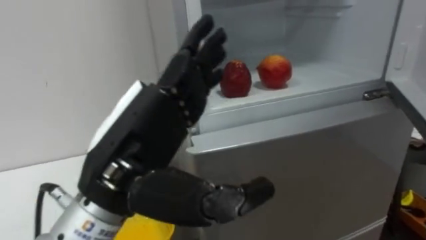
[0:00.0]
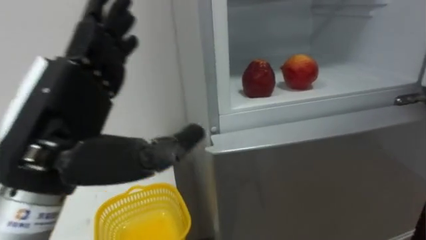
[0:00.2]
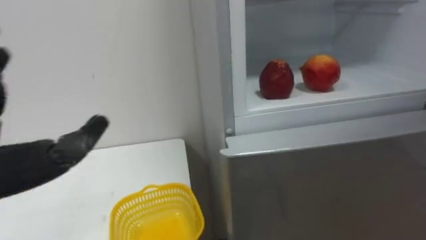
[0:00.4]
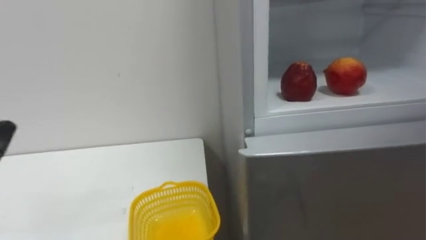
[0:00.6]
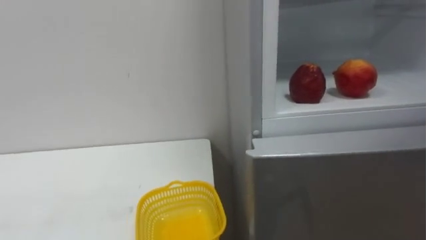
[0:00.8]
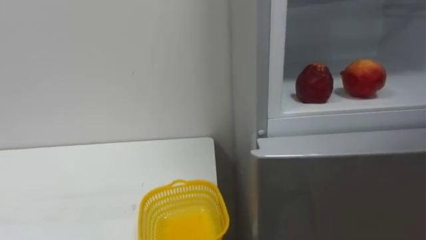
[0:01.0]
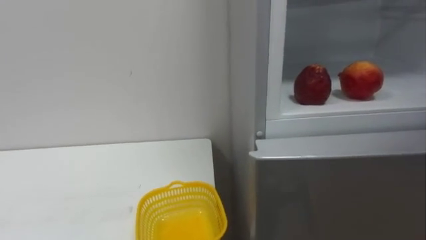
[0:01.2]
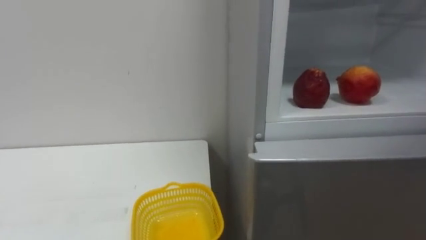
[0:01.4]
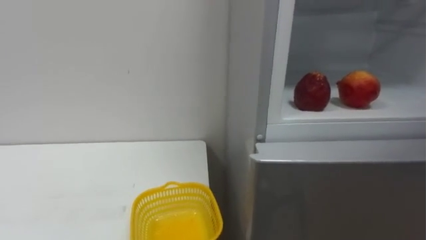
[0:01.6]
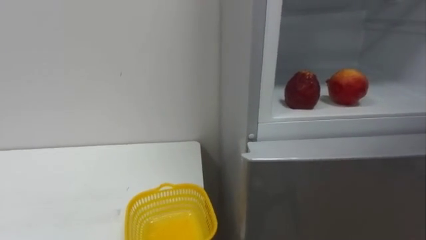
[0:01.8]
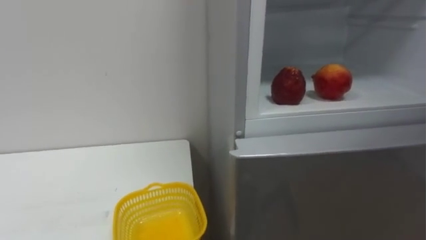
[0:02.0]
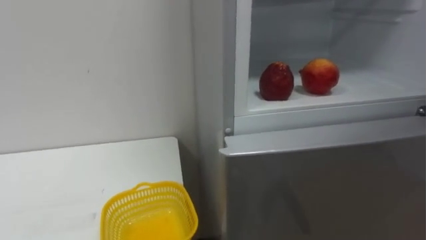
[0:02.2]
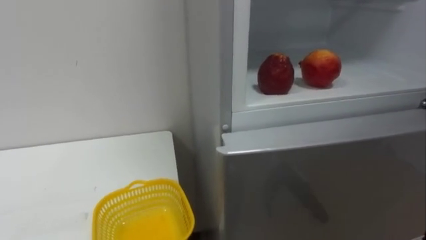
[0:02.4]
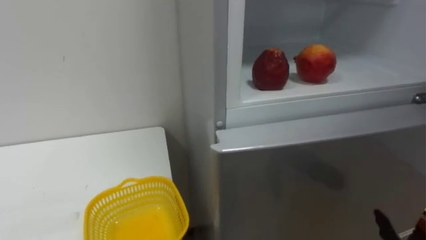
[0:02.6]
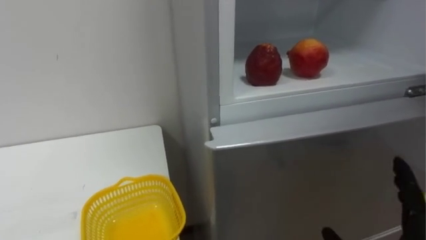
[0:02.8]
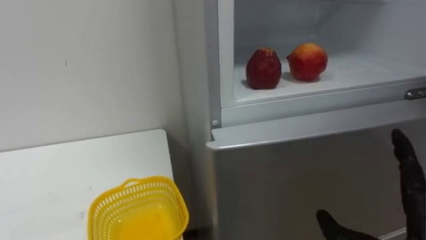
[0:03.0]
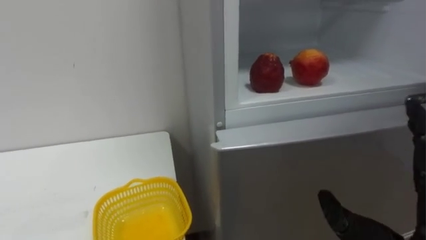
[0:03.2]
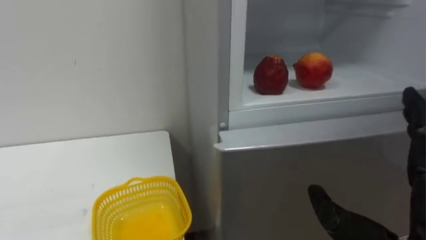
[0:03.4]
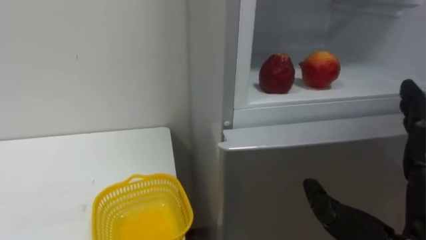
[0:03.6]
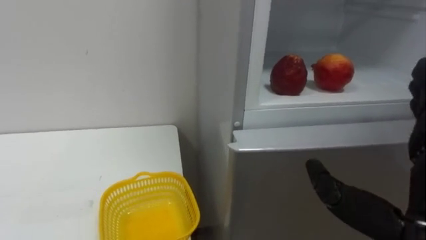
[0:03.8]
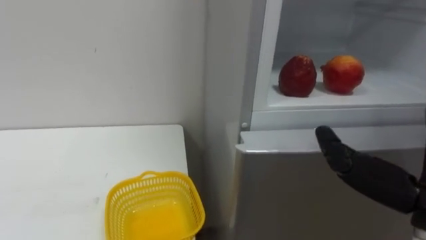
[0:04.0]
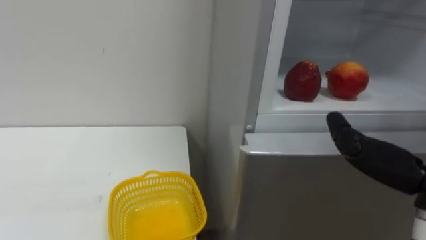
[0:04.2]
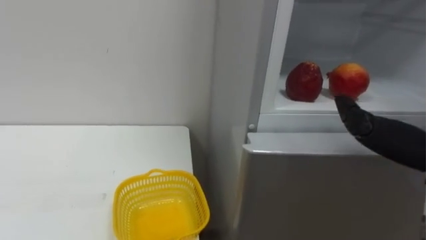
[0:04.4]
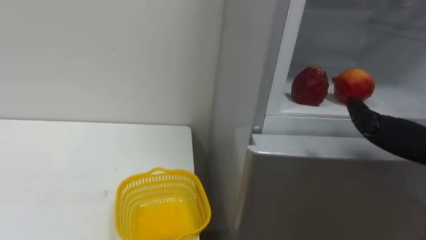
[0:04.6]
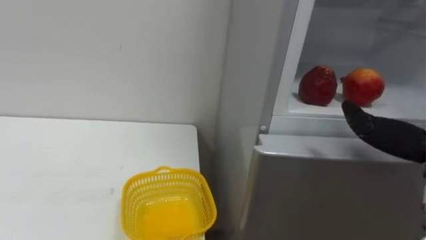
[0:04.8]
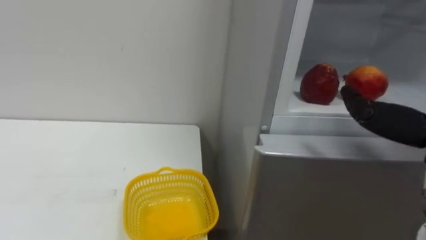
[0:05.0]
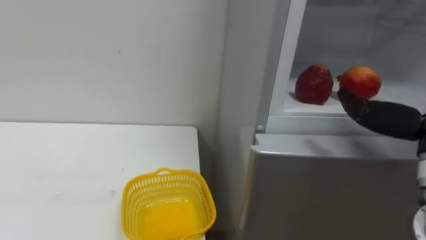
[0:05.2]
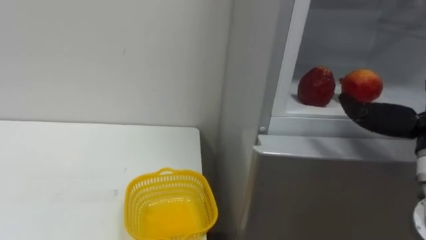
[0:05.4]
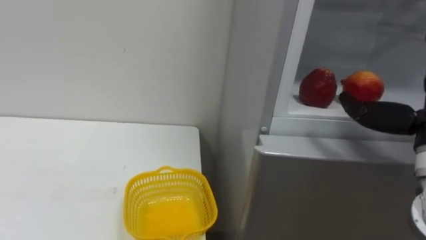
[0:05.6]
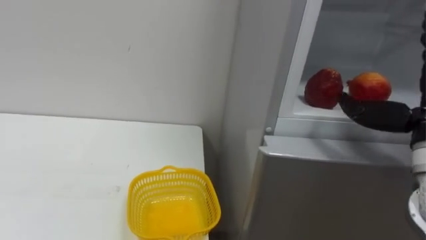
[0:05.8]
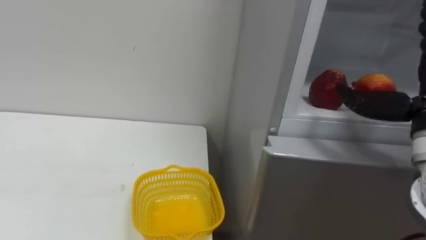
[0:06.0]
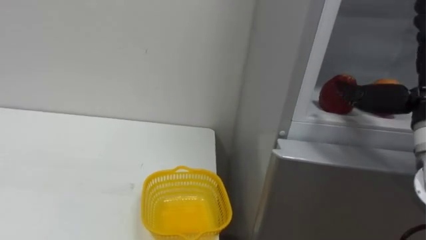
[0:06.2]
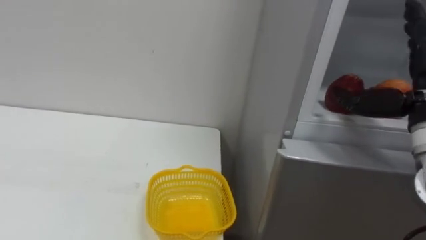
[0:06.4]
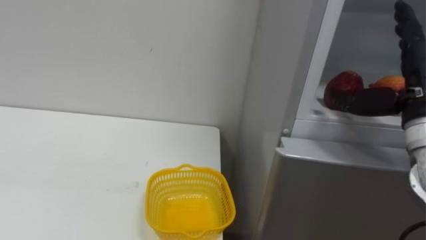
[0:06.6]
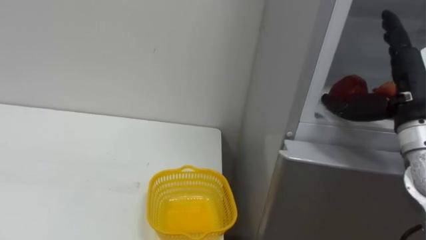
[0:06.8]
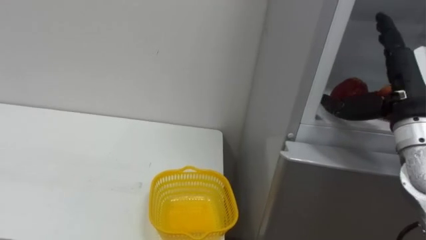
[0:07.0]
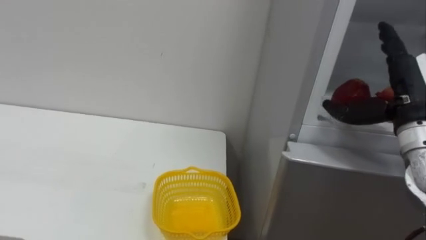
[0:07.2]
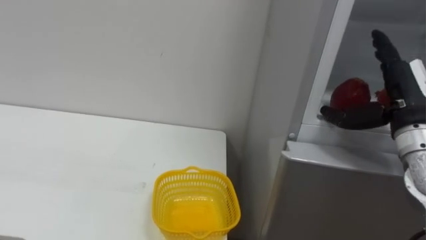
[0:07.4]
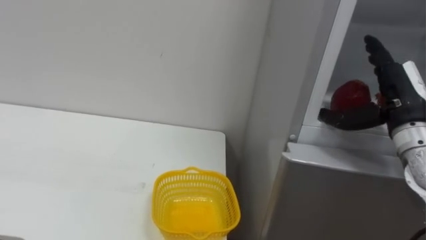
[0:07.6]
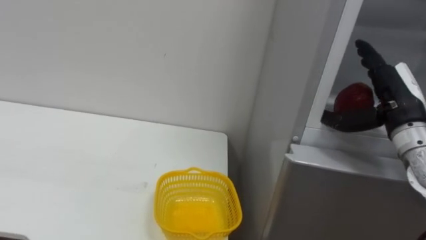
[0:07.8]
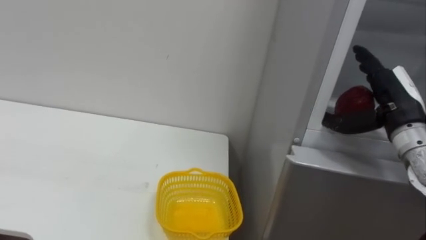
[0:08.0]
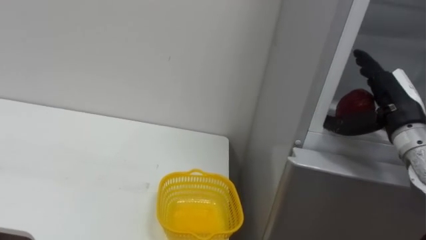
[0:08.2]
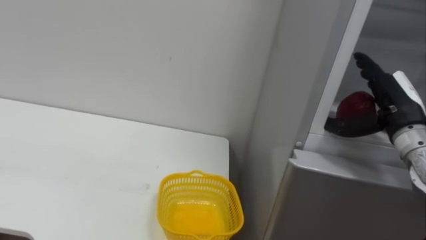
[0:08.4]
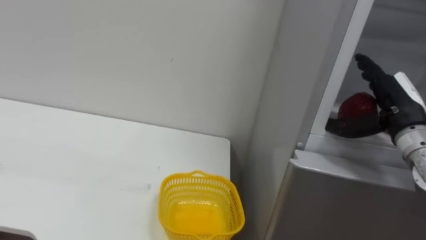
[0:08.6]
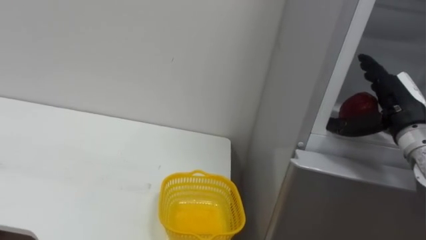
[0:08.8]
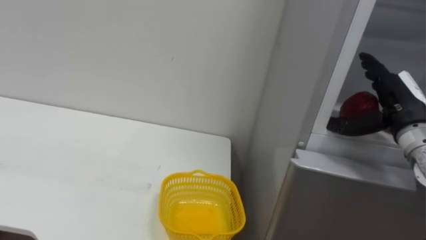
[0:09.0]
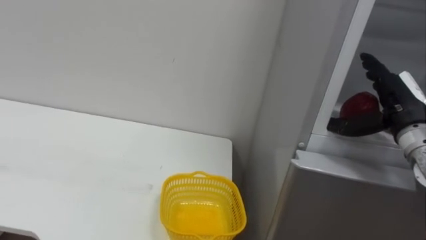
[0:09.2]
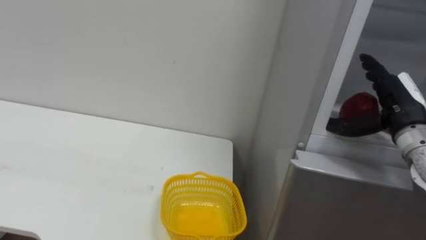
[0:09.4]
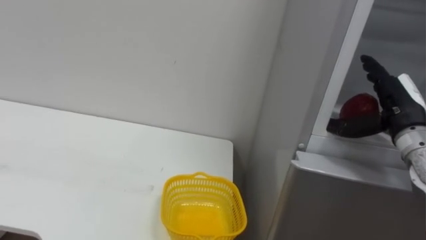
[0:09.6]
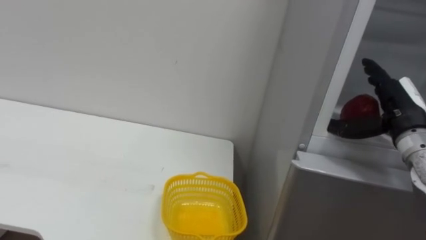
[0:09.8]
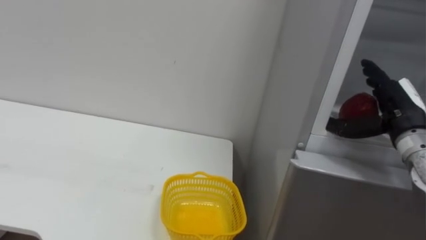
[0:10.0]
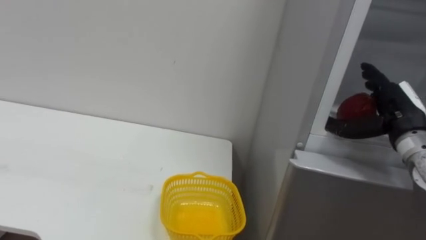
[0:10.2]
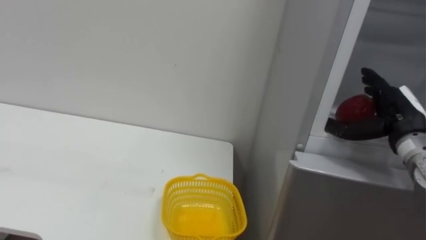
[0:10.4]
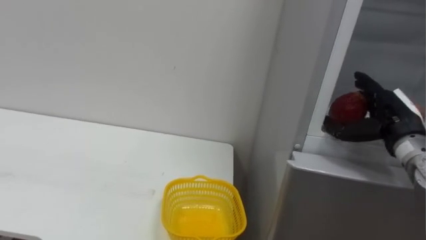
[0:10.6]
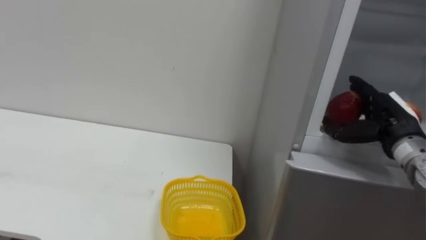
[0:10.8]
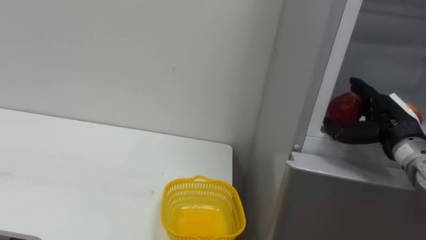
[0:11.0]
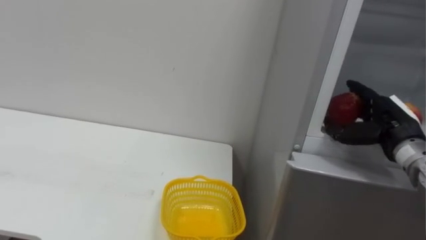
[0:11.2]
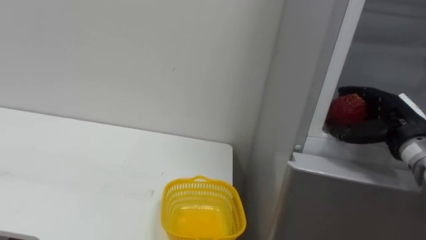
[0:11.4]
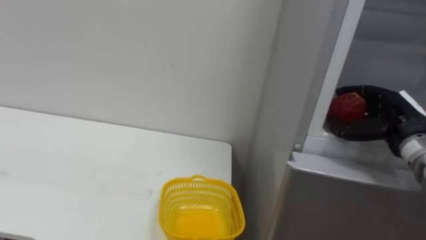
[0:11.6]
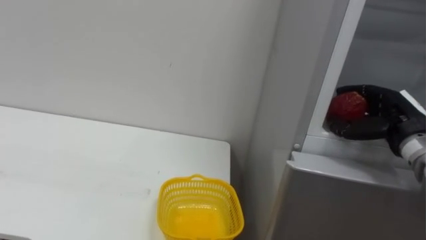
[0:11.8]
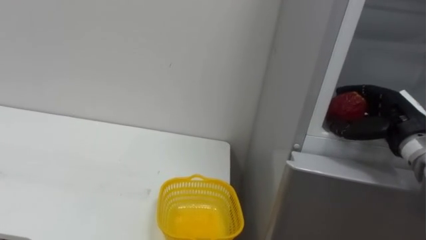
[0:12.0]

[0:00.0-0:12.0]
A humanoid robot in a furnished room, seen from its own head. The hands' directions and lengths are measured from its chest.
Task of the whole recording: Open the refrigerator door, take out the apple and the pomegranate, place them in the fruit basket on the left, and close the refrigerator door.
0:10.4 to 0:12.0: The right hand closes.

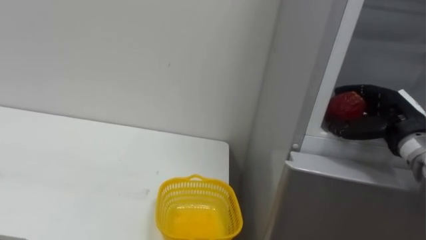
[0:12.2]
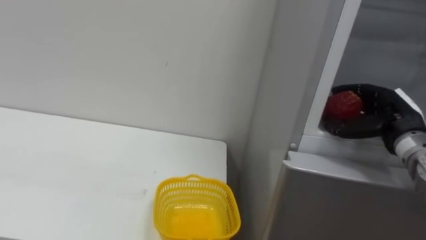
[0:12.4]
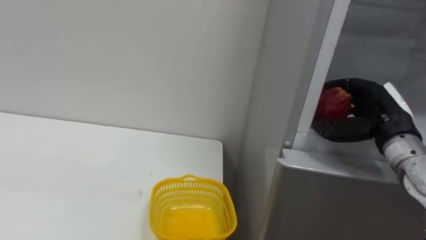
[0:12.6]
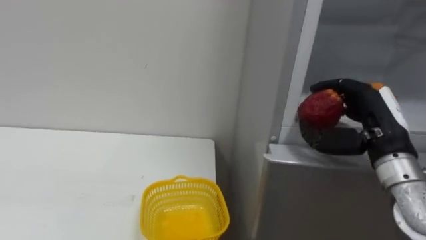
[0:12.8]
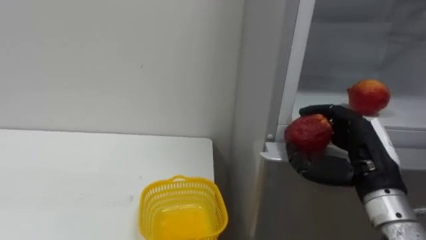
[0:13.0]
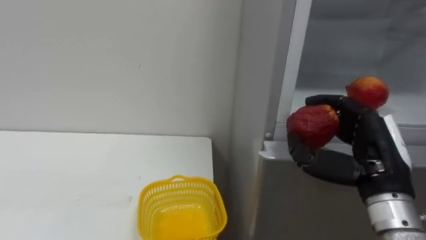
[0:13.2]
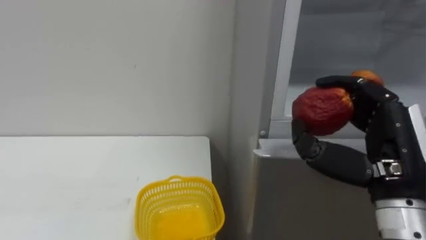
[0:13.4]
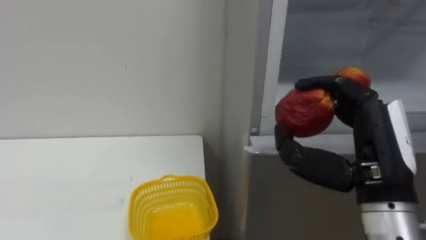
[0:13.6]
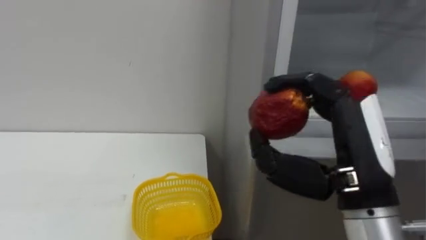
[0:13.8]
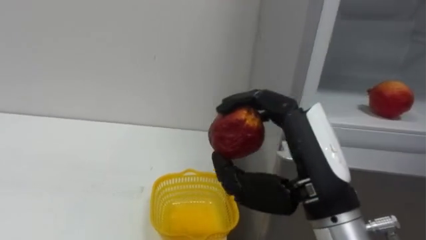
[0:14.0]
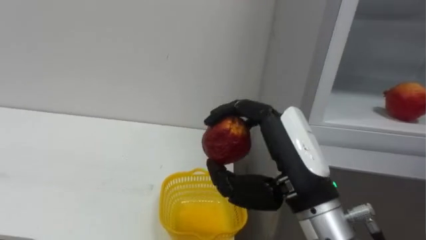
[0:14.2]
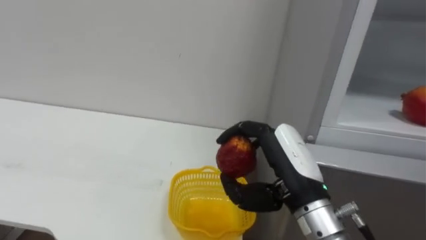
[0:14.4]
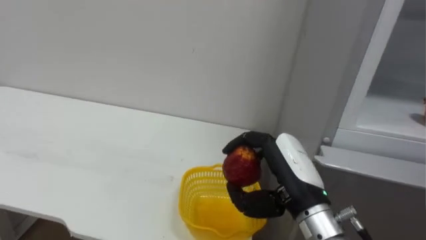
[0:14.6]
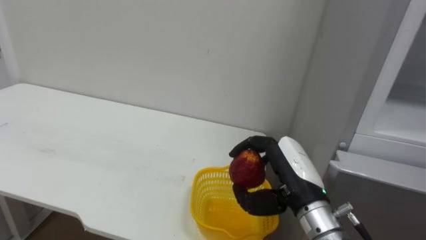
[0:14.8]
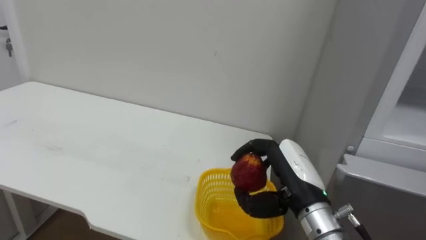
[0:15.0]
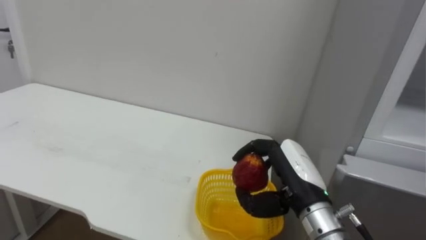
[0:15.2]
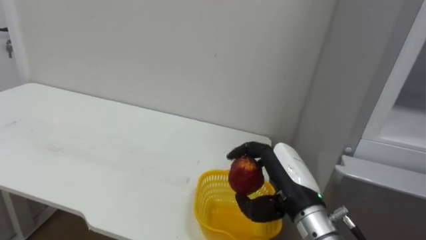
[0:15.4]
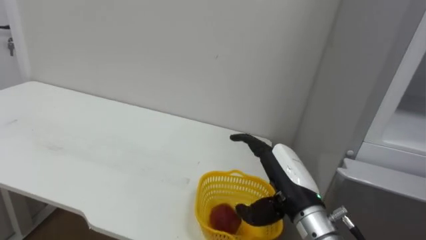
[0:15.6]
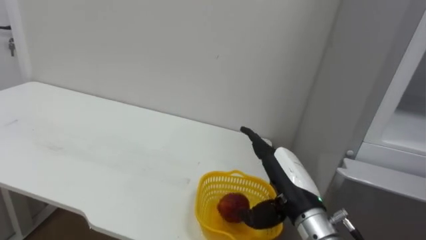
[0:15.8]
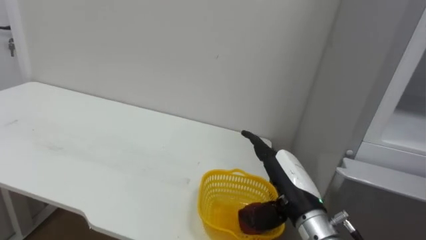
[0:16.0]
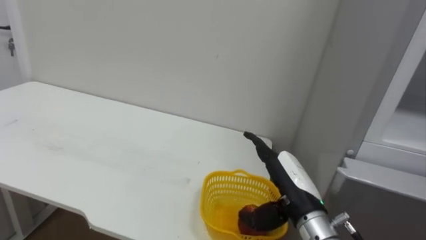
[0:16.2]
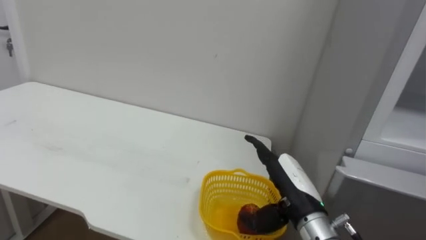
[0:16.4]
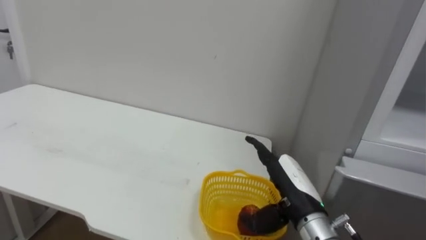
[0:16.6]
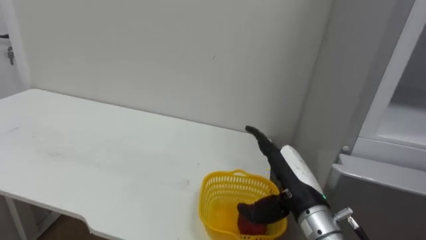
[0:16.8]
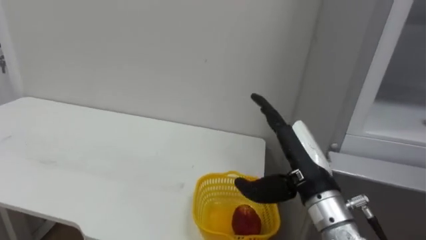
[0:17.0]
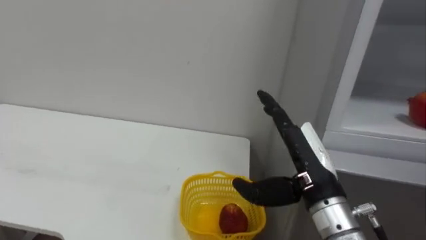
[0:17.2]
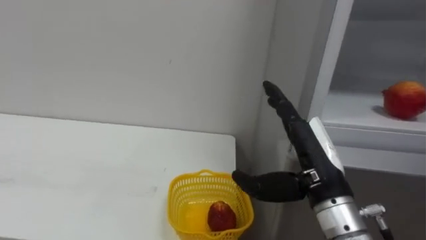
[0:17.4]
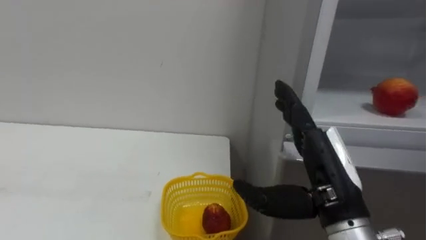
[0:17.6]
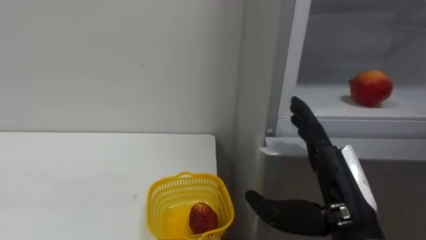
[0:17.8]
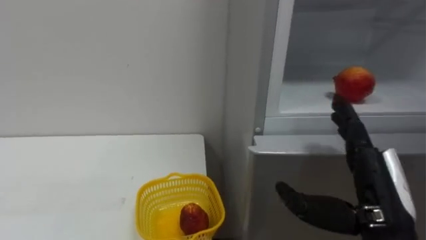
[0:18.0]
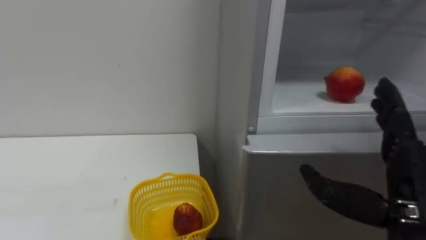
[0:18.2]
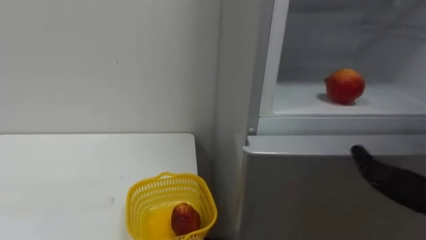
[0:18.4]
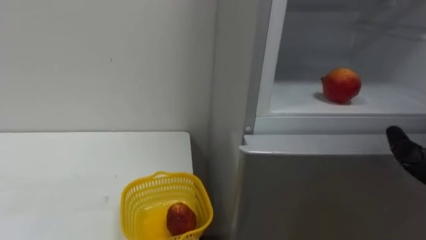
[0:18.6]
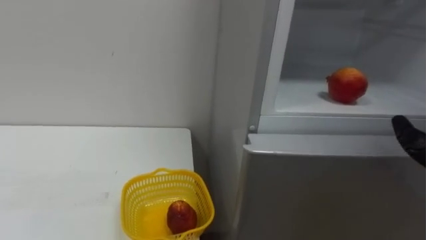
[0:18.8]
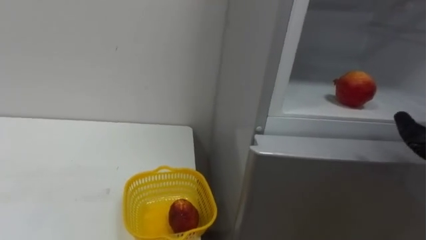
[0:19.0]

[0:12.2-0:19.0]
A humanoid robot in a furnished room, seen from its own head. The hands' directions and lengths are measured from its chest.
Task of the whole recording: Open the refrigerator door, take out the apple and the pomegranate, place them in the fruit basket on the left, and close the refrigerator door.
0:12.2 to 0:13.6: The right hand moves backward and to the left, about 20 cm.
0:13.6 to 0:15.0: The right hand moves downward, forward and to the left, about 15 cm.
0:15.0 to 0:16.2: The right hand opens its fingers.
0:16.2 to 0:17.6: The right hand travels upward and backward by approximately 10 cm.
